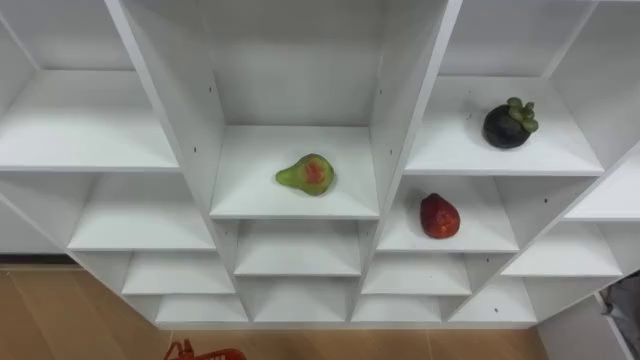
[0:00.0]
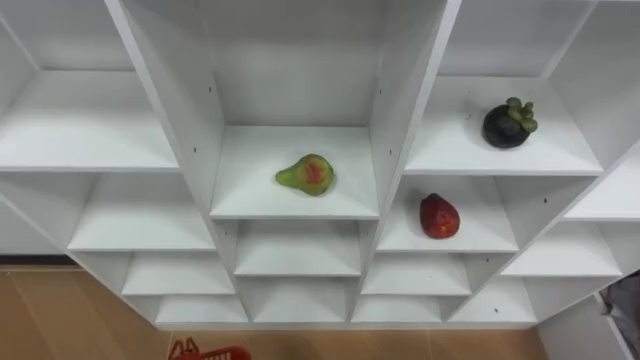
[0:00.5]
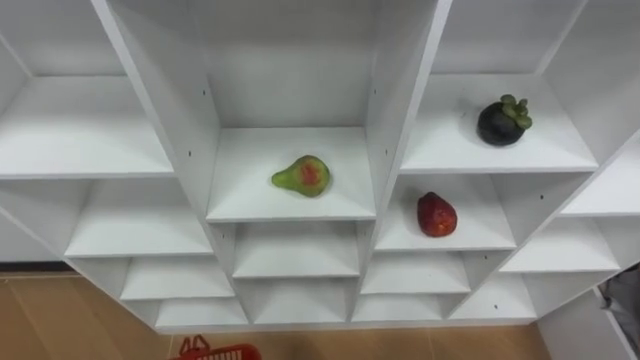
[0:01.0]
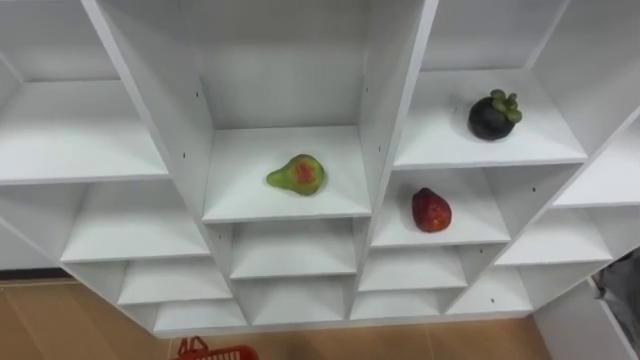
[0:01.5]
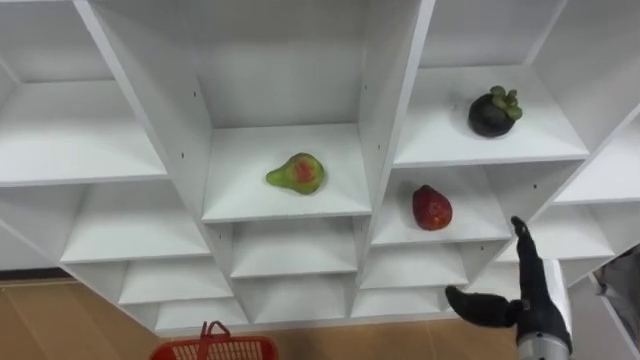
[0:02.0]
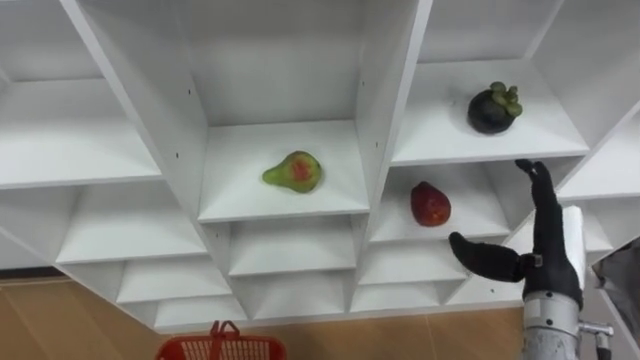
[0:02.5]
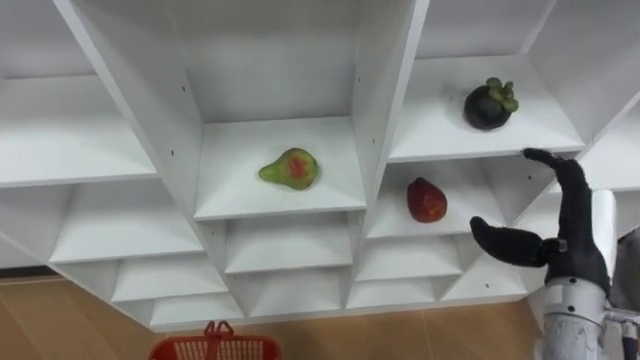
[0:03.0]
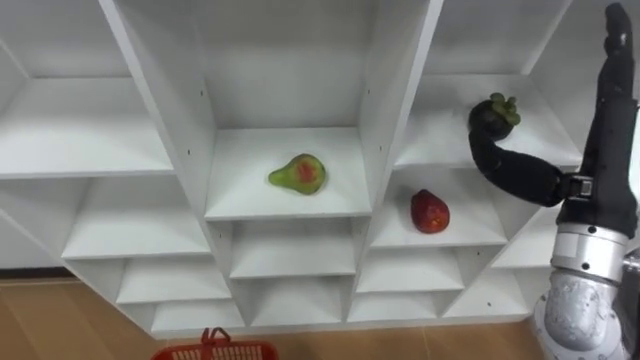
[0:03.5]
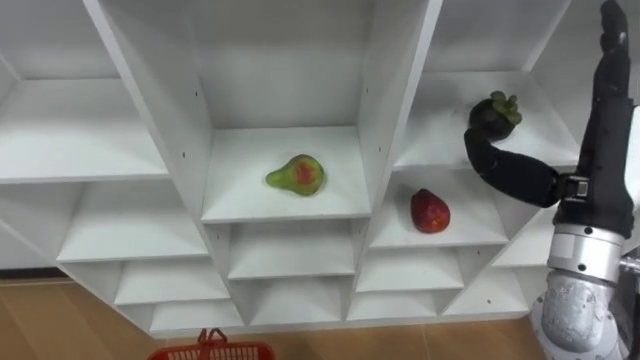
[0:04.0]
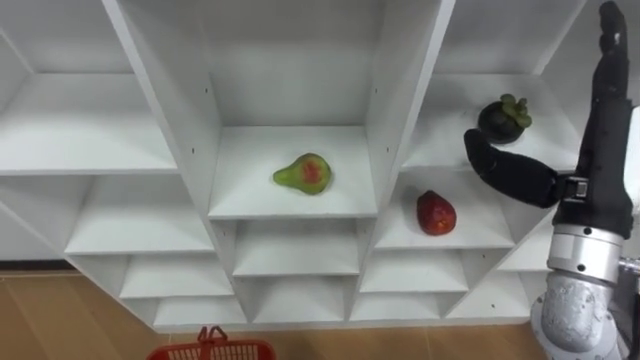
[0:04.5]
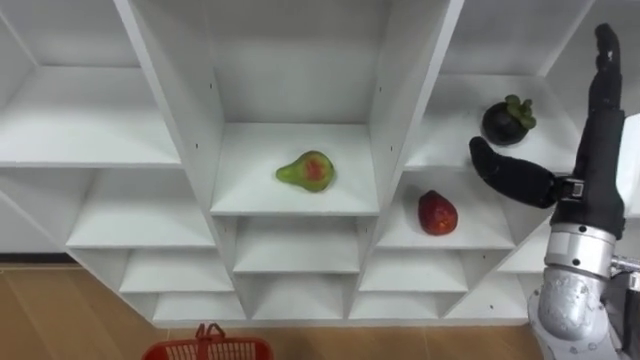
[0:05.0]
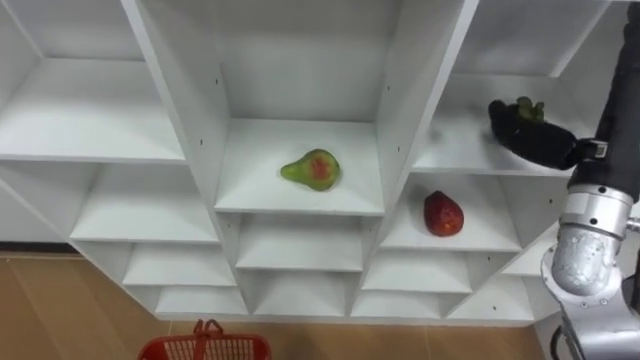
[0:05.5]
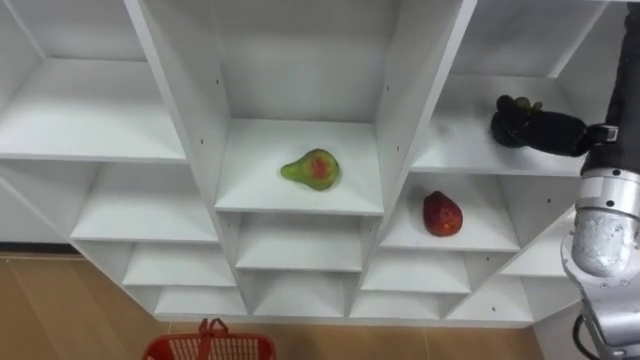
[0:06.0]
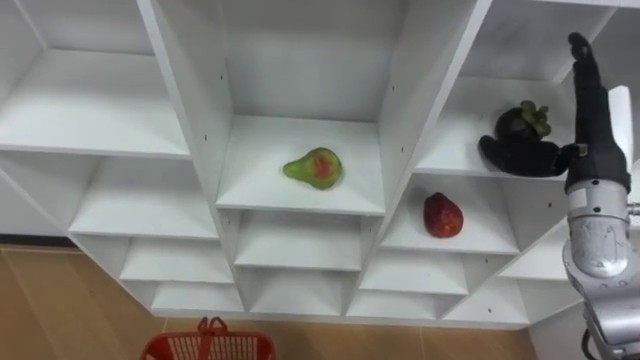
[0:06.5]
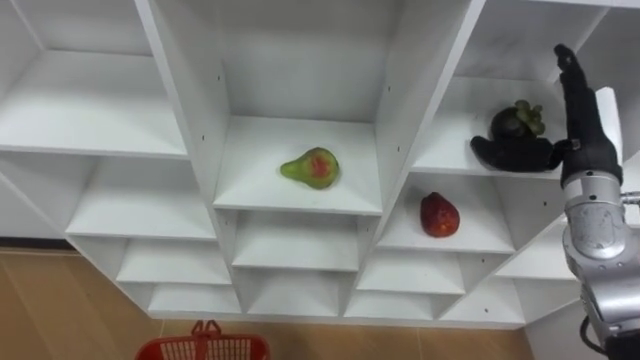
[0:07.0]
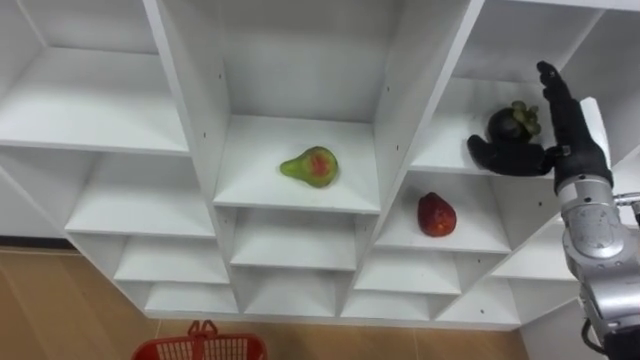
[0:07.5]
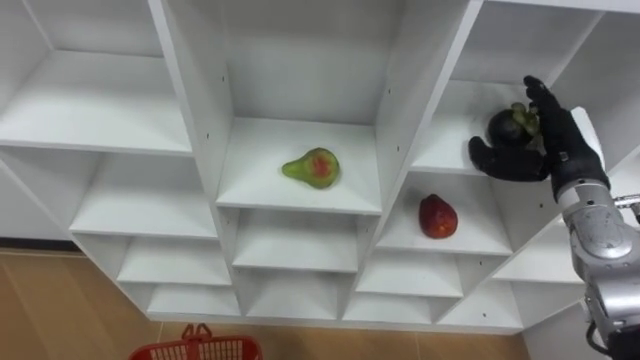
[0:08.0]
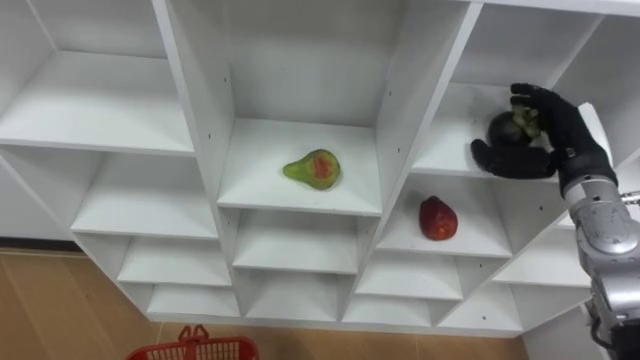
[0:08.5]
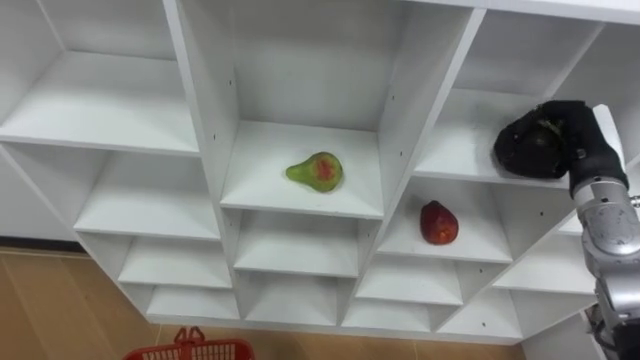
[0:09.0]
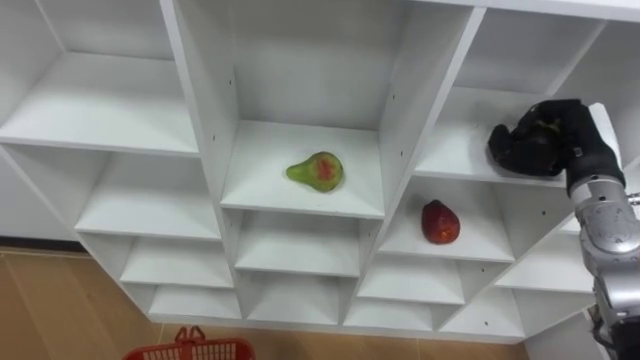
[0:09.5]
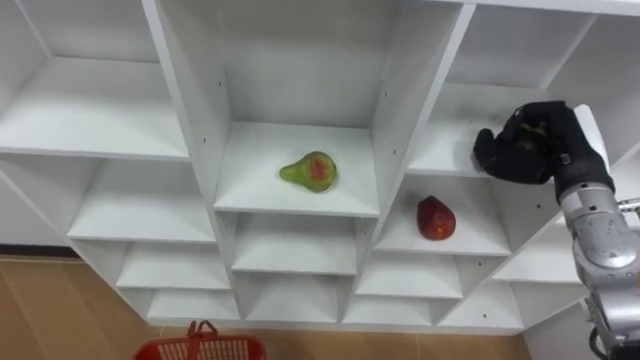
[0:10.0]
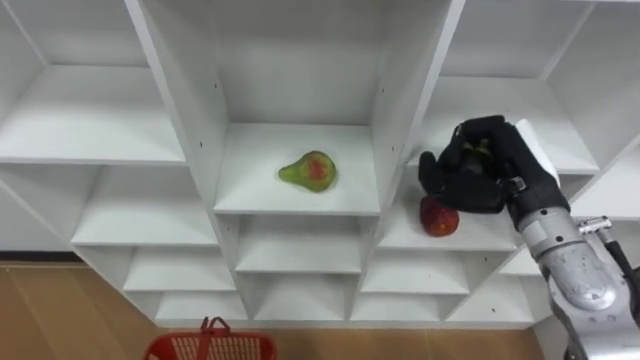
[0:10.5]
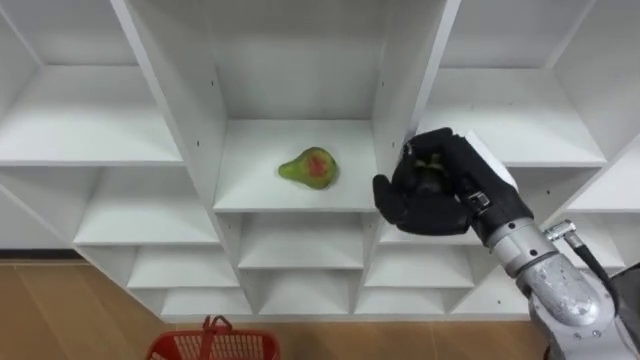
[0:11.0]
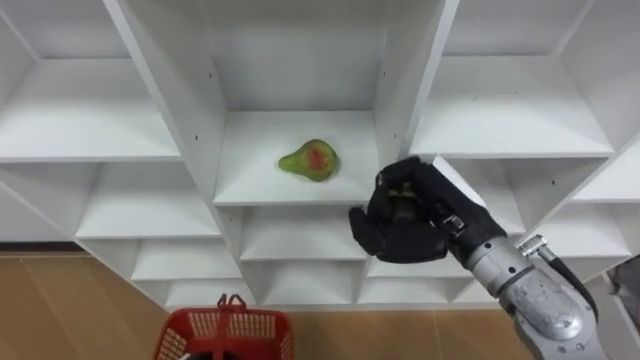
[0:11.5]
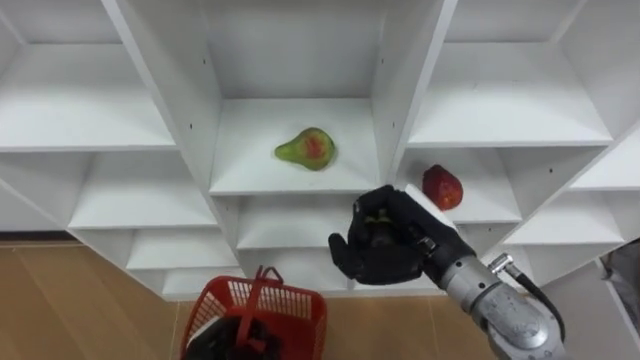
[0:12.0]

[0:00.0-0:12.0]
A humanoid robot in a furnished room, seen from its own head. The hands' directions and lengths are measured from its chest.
Task of the whole recording: Hold the basket and collect the fruits from 3 different cells of the closet into it.
0:02.0 to 0:04.0: The right hand moves upward, approximately 20 cm.
0:04.0 to 0:06.0: The right hand is displaced forward by roughly 5 cm.
0:06.0 to 0:08.0: The right hand is displaced downward by approximately 10 cm.
0:08.0 to 0:10.0: The right hand closes.
0:10.0 to 0:12.0: The right hand heads to the left and backward, covering roughly 20 cm.

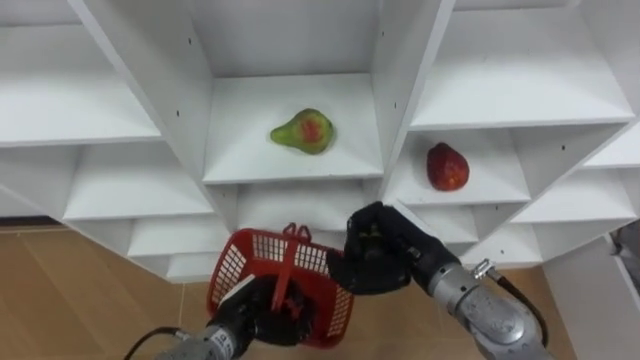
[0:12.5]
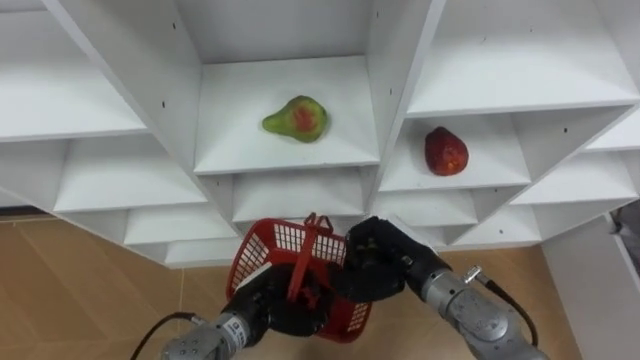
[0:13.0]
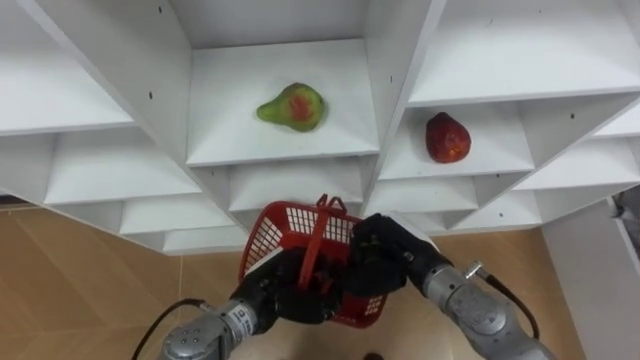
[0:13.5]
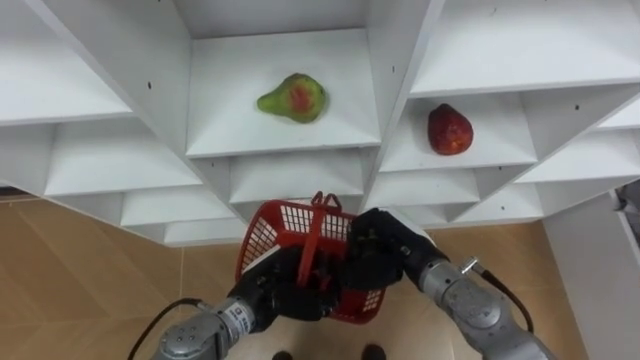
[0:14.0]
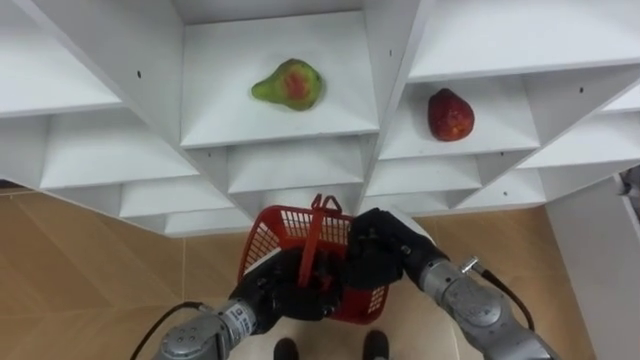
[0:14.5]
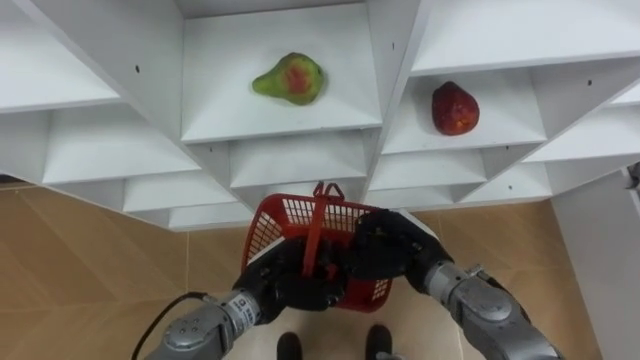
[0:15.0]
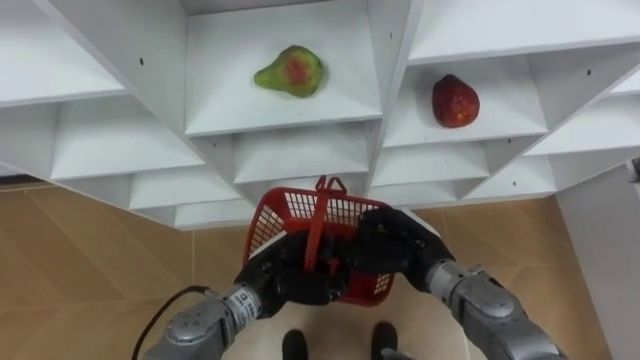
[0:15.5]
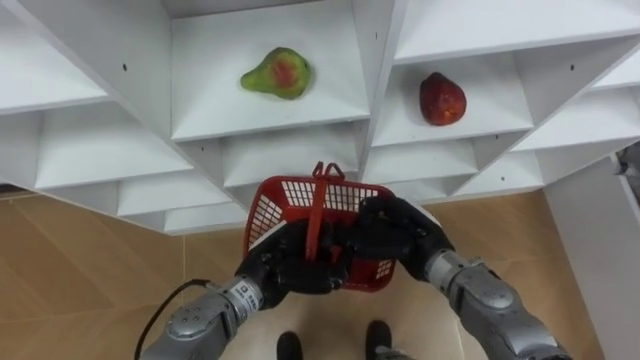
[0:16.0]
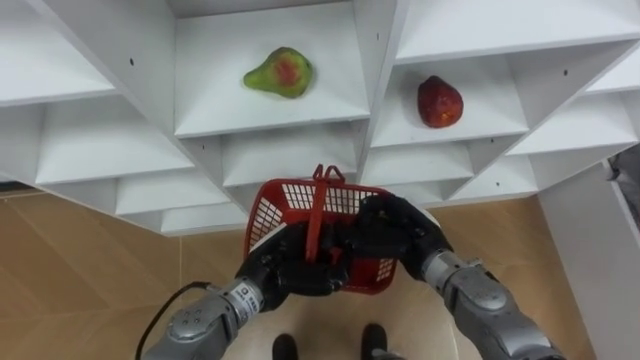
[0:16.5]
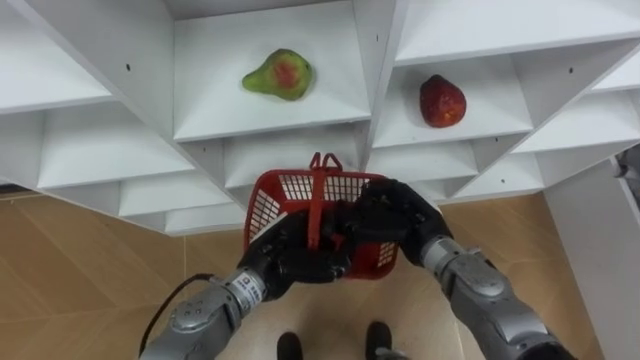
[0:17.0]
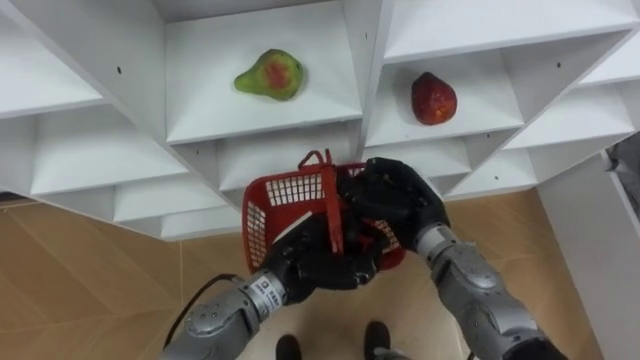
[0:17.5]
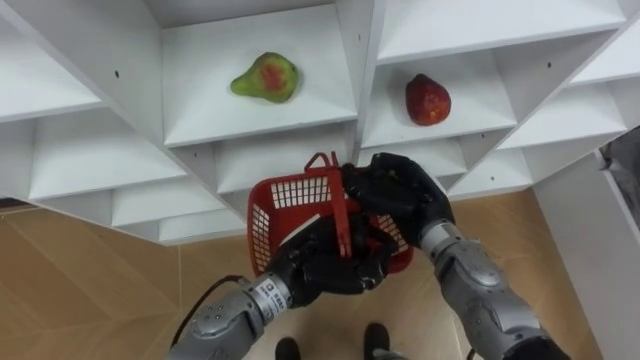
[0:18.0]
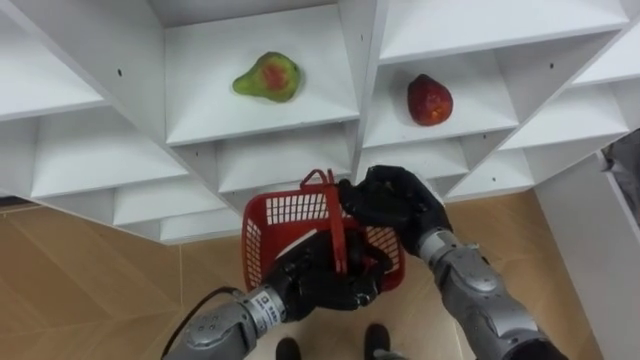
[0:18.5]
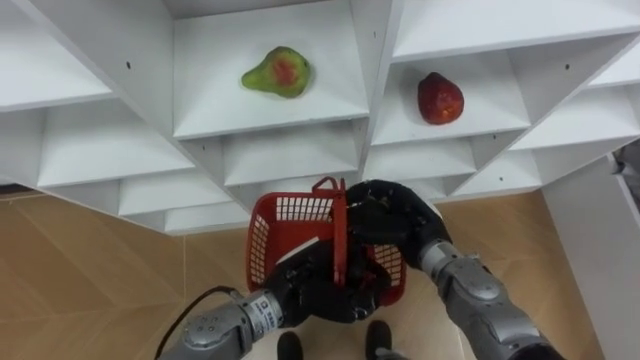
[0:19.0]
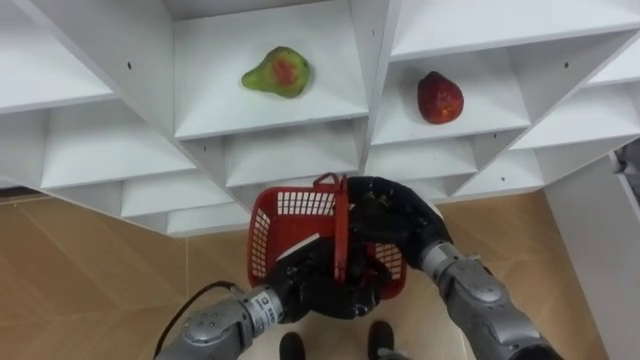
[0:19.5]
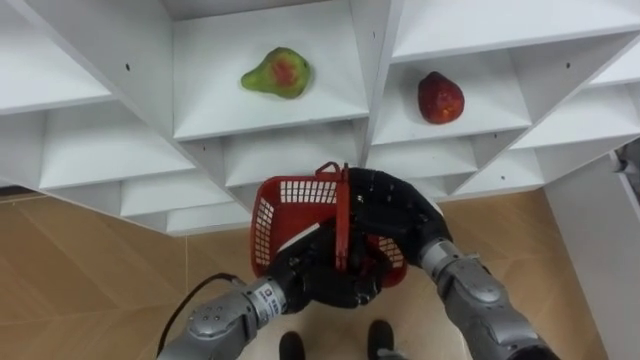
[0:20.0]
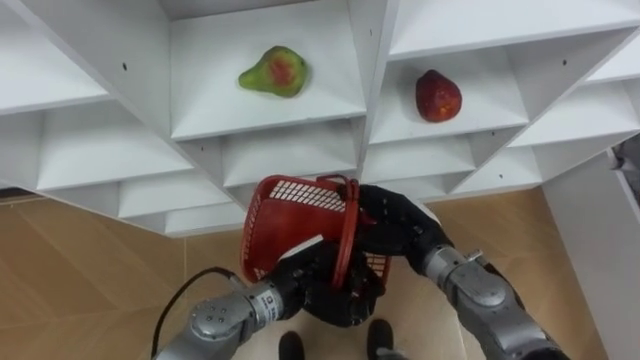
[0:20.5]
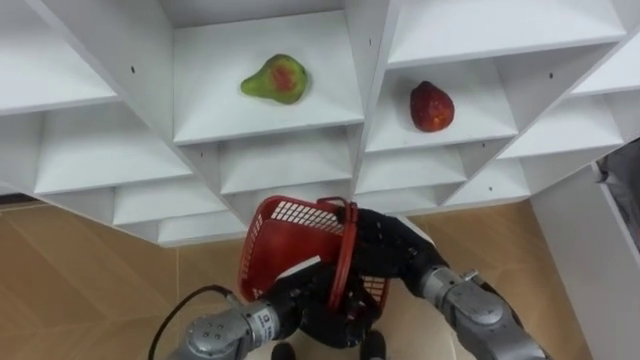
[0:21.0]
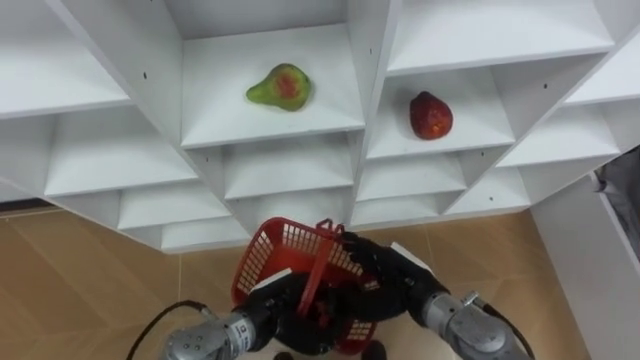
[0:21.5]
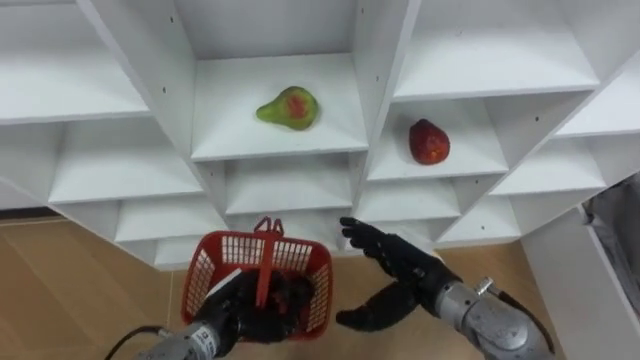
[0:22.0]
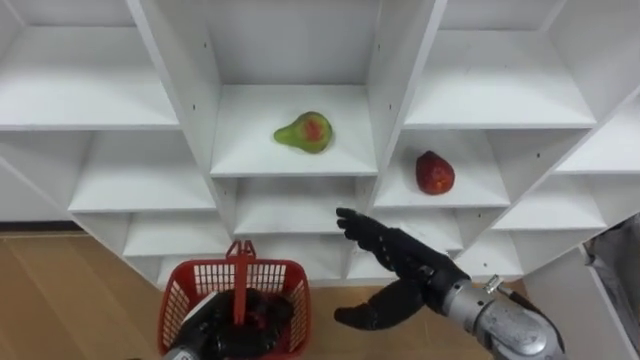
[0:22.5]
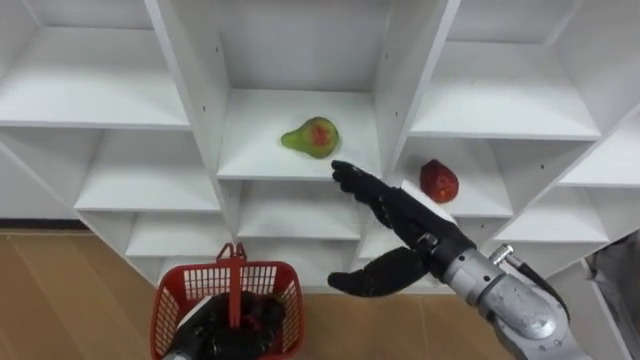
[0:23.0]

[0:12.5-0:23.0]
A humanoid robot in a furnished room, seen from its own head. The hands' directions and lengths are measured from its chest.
Task of the whole recording: Hold the basket and collect the fruits from 3 different cells of the closet into it.
0:12.5 to 0:14.5: The left hand moves some 5 cm.
0:16.5 to 0:19.0: The hands move only a little.
0:19.0 to 0:21.0: The right hand opens its fingers.
0:21.0 to 0:23.0: The right hand moves upward, approximately 10 cm. The left hand travels to the left and downward by approximately 15 cm.
